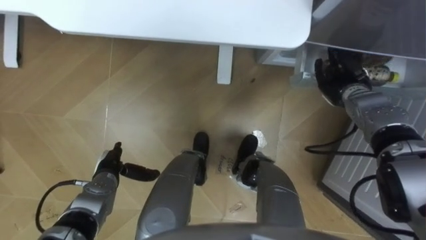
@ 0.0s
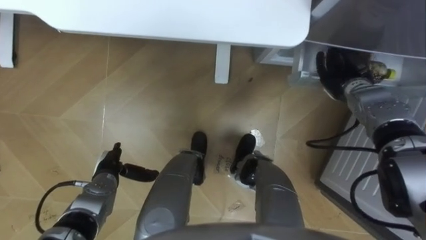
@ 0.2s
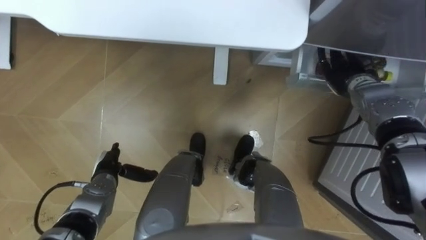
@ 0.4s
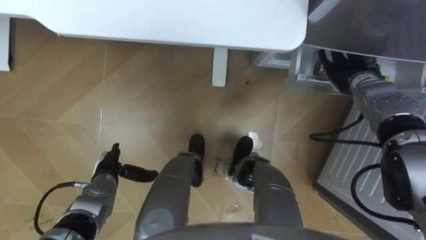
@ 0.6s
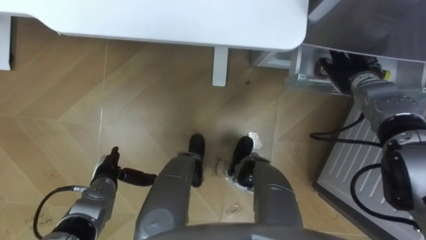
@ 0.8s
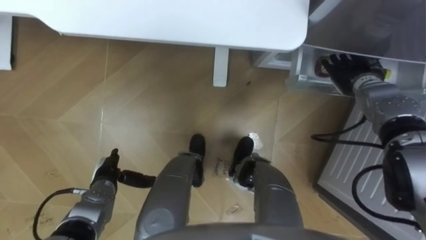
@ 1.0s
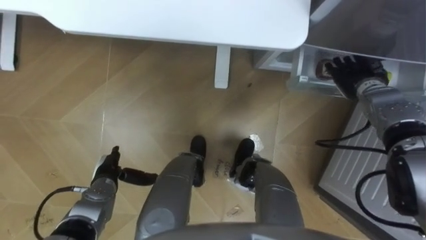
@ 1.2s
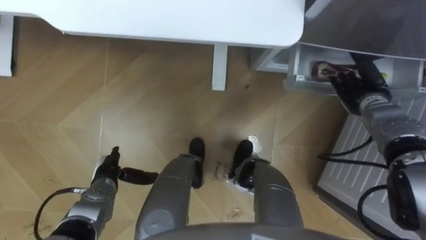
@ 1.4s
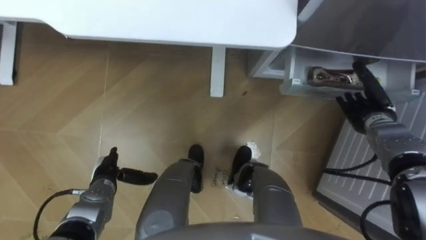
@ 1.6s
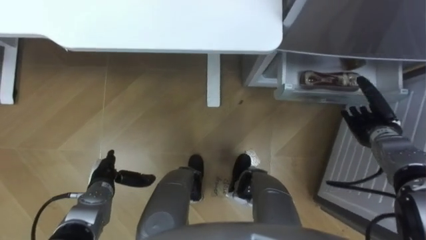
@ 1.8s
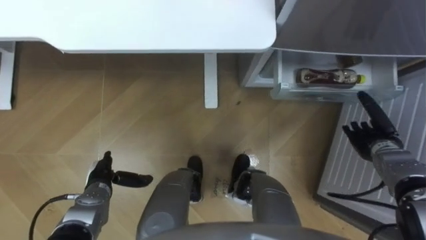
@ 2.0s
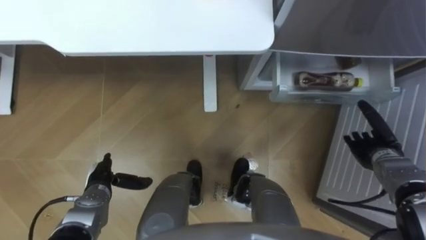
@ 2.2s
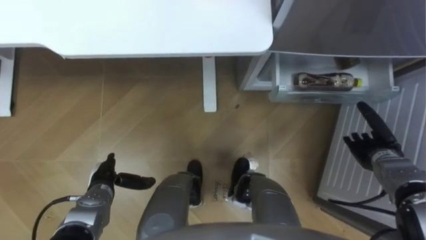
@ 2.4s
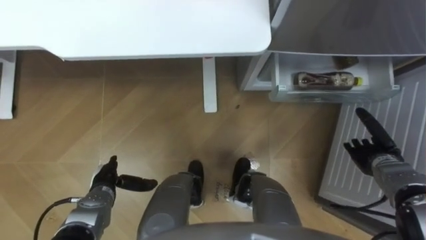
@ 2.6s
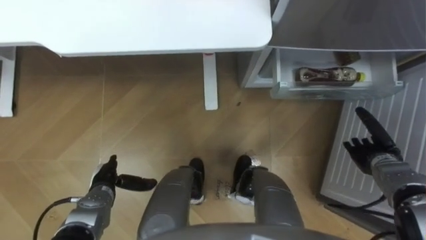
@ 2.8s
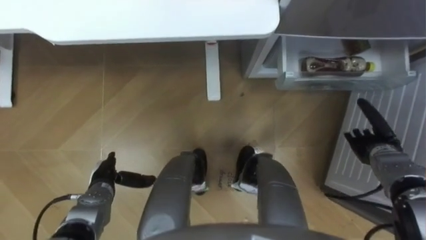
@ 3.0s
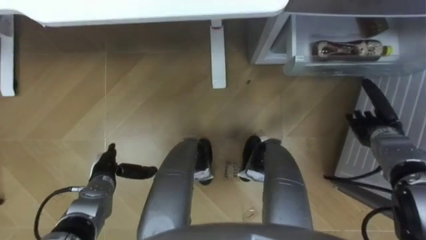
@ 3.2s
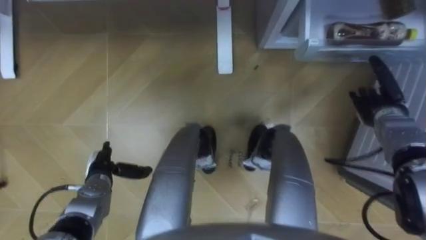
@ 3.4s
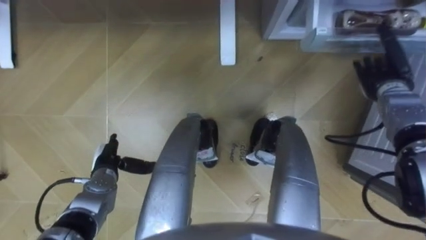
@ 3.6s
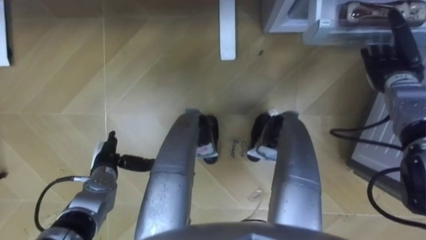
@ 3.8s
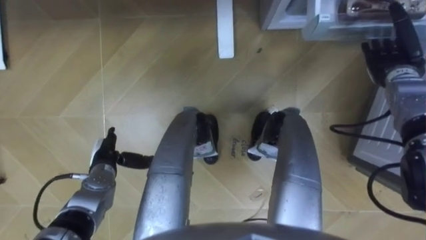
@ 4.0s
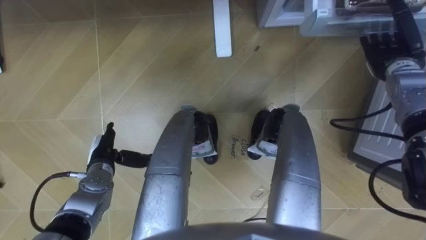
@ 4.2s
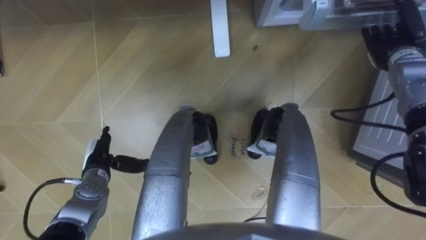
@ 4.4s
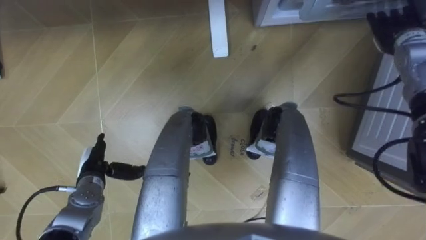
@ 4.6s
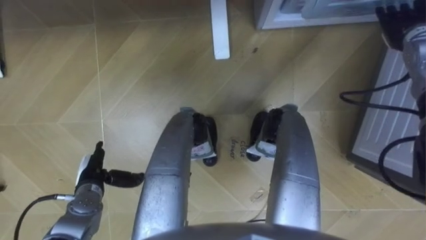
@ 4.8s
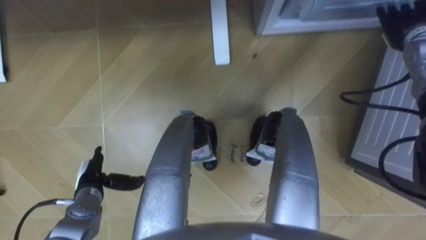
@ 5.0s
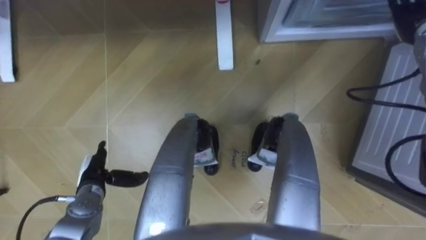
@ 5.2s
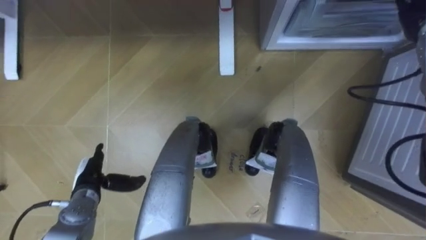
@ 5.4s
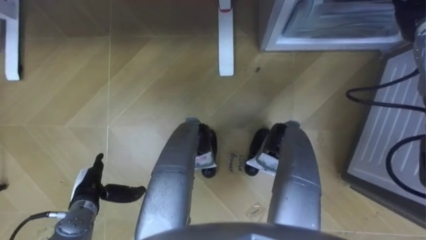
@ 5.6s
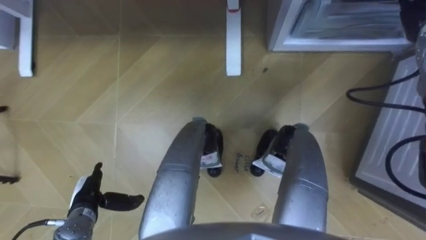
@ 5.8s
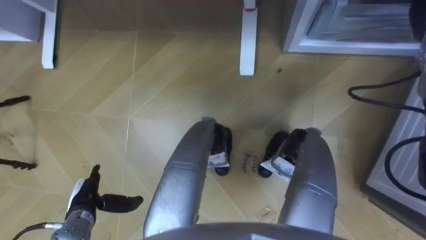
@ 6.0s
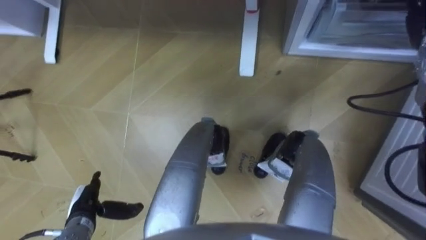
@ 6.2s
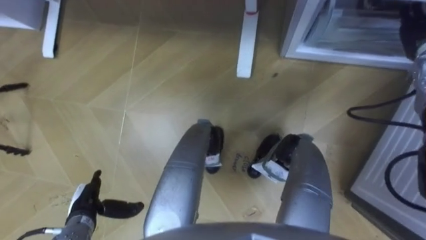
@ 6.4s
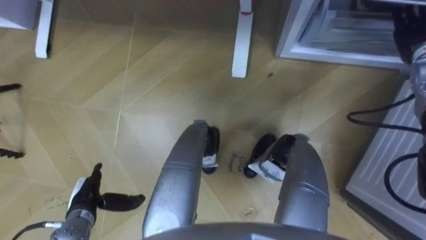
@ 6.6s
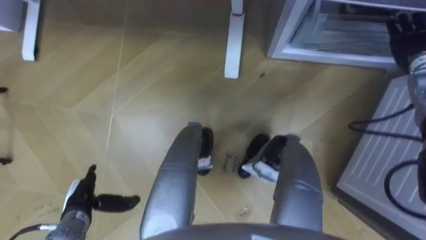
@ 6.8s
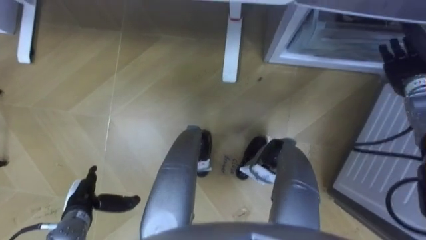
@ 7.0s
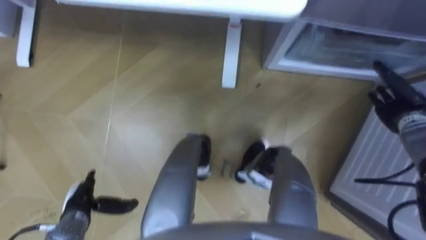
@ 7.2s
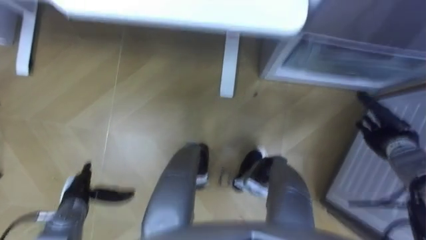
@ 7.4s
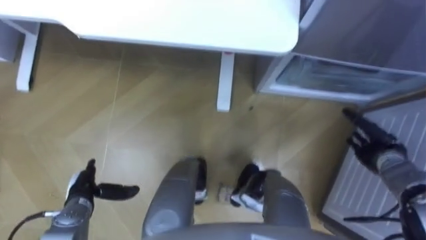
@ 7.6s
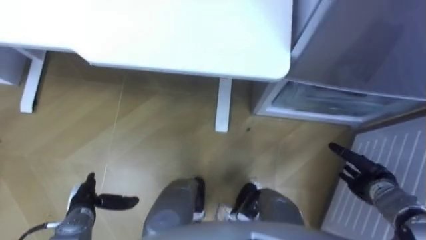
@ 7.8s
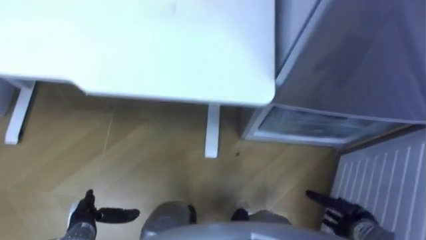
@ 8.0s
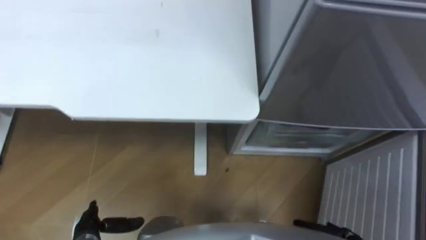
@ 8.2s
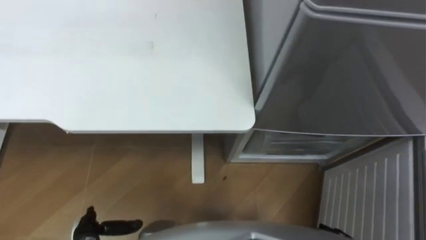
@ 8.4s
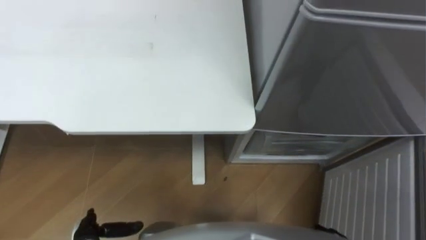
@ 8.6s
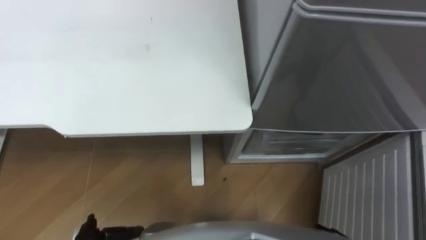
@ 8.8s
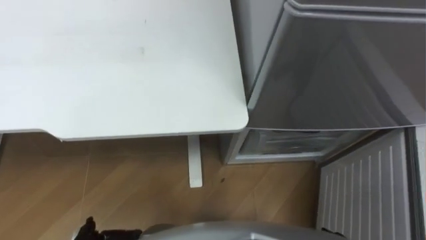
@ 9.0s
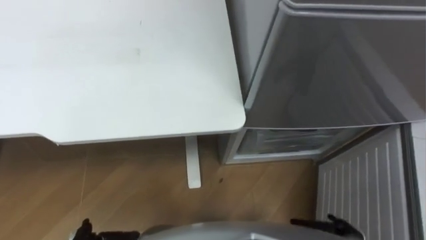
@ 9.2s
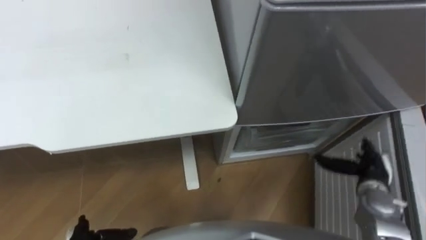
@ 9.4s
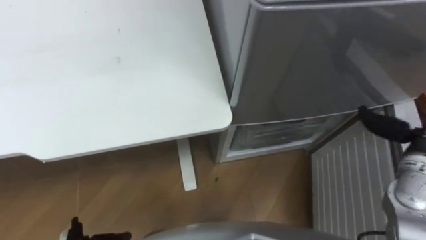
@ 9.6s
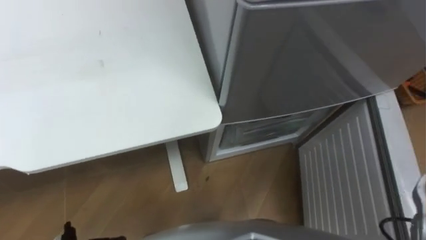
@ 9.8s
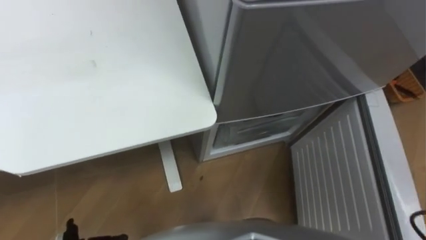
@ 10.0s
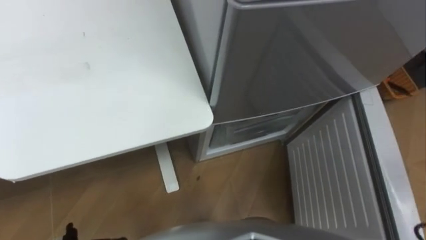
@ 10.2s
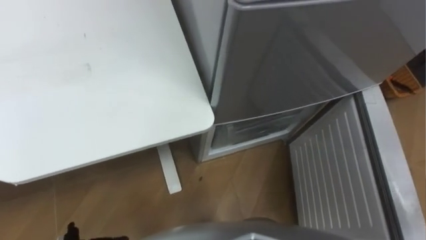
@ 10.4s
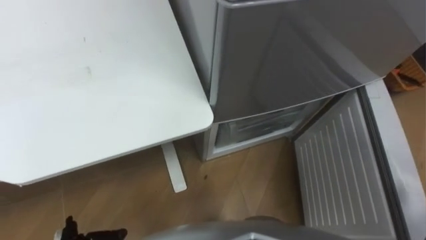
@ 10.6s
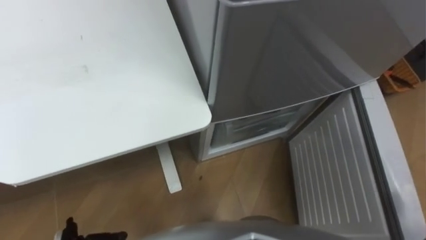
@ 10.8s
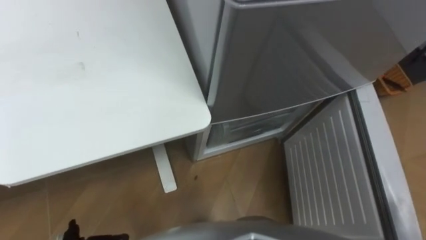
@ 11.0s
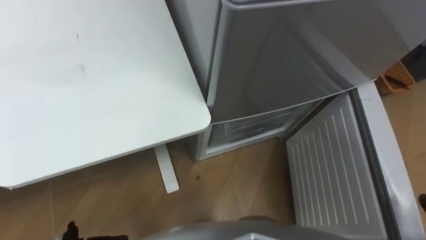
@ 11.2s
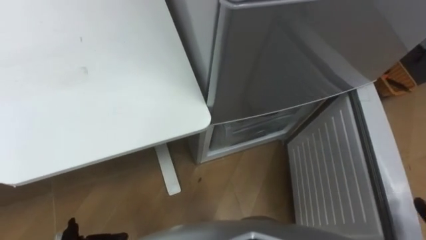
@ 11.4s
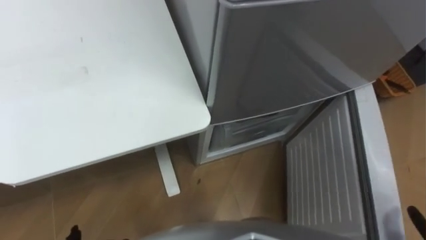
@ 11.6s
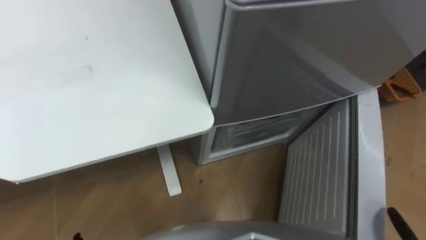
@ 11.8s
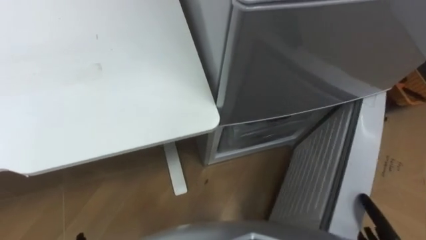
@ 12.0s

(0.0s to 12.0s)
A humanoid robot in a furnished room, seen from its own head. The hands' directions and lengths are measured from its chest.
Task of the whole recording: Place the drink on the table on the bottom shelf of the refrigerator, then close the drawer and the refrigerator door.
0.0s - 1.6s: The right hand is displaced to the right and backward by approximately 10 cm, and opens up.
1.6s - 3.0s: The right hand shifts approximately 5 cm backward.
3.0s - 4.4s: The left hand ends up some 5 cm from where it was; the right hand goes roughly 20 cm forward and upward.
4.4s - 6.0s: The left hand moves backward, roughly 10 cm.

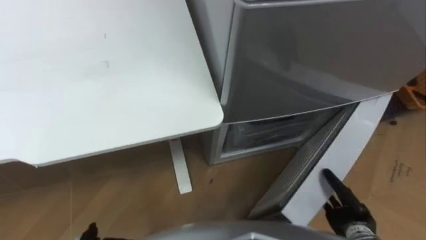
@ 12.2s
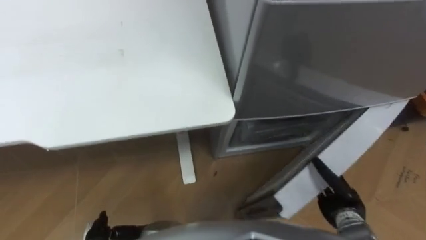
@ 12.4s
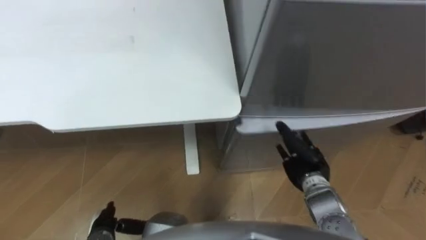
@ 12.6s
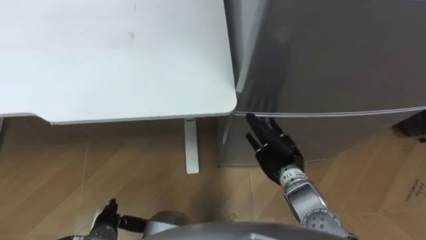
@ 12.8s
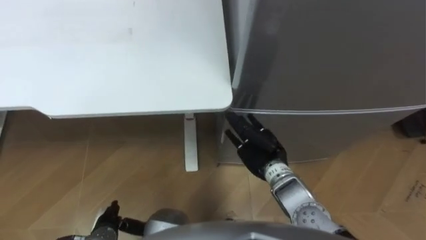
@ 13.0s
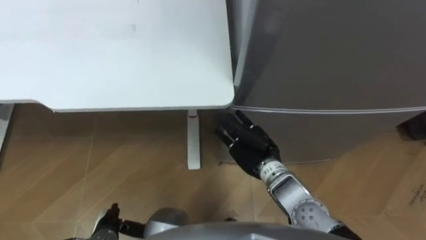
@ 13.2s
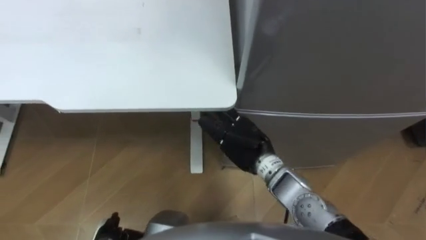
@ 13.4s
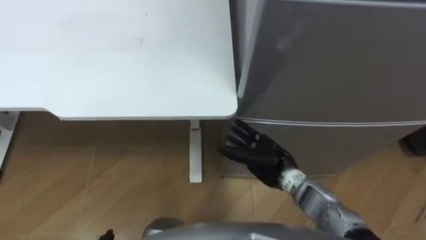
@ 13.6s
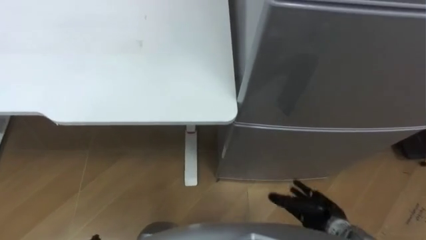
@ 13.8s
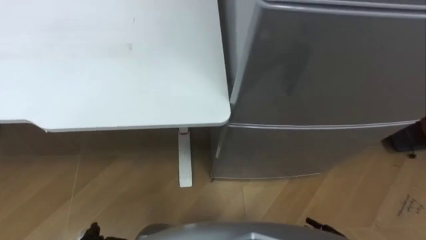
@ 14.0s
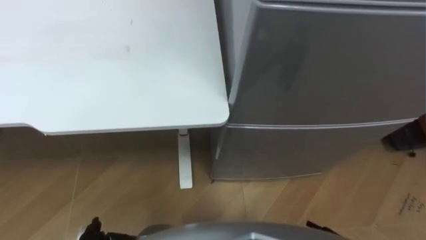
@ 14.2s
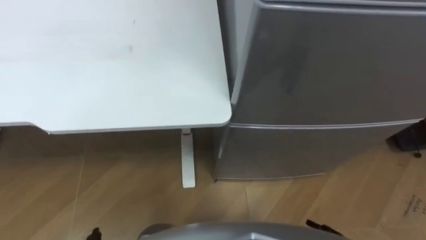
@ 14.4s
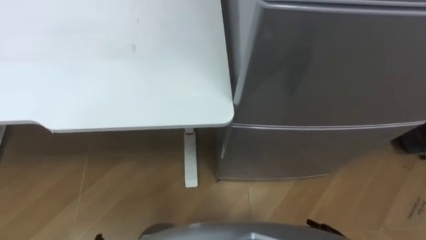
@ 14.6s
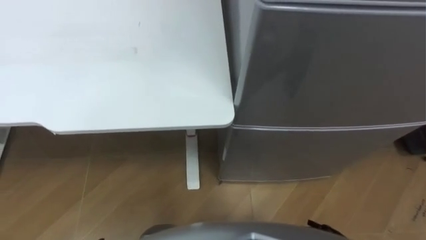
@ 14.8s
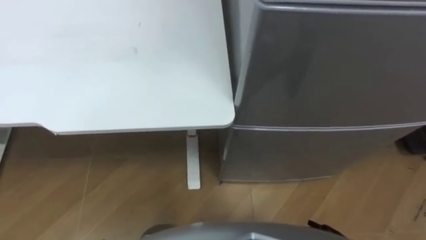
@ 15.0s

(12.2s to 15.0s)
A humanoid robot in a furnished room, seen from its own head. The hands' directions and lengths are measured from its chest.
Task of the whole recording: Place the drink on the table on the bottom shelf of the refrigerator, then close the drawer and the refrigerator door.
12.2s - 13.6s: The right hand heads to the left, forward and upward, covering some 25 cm.

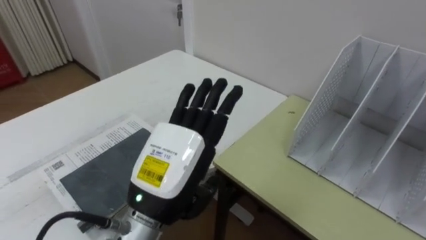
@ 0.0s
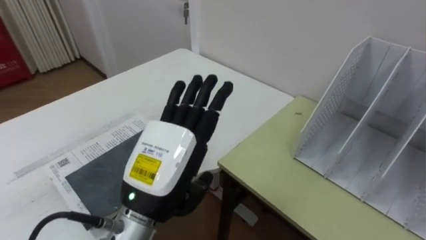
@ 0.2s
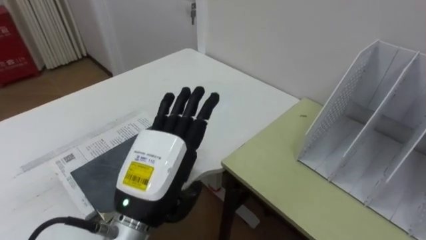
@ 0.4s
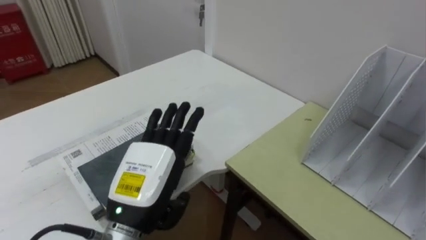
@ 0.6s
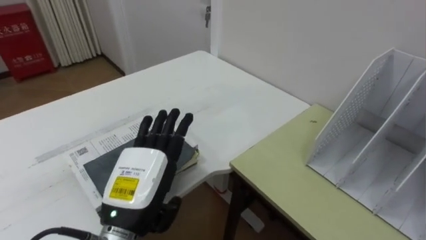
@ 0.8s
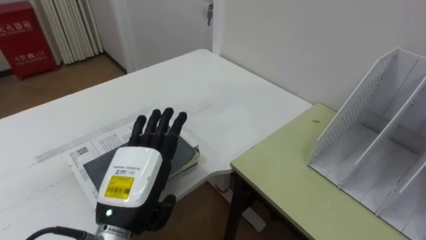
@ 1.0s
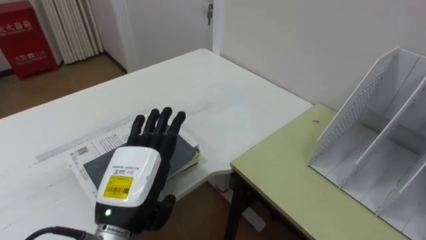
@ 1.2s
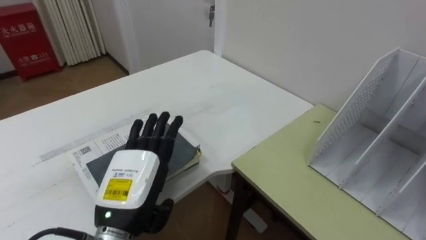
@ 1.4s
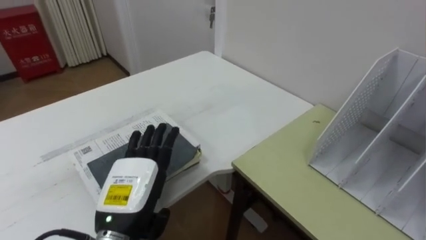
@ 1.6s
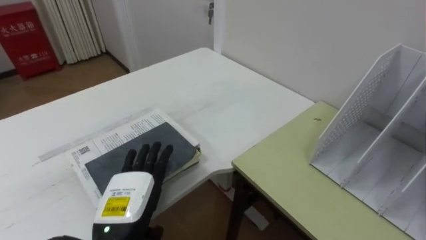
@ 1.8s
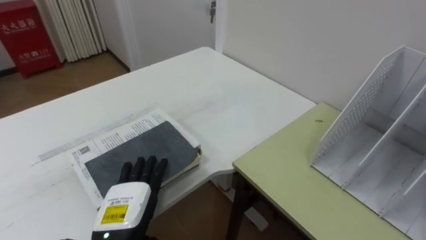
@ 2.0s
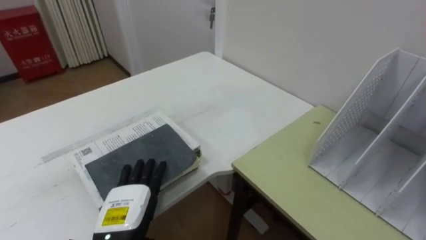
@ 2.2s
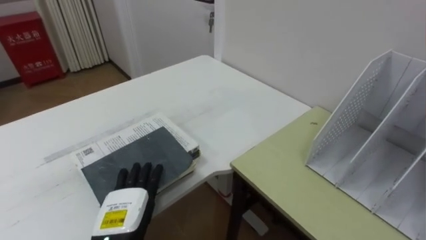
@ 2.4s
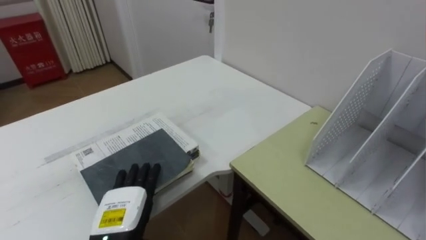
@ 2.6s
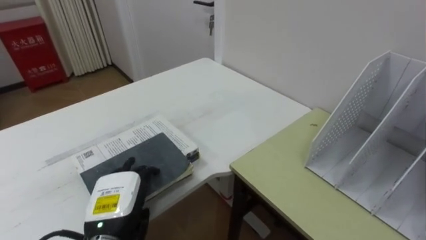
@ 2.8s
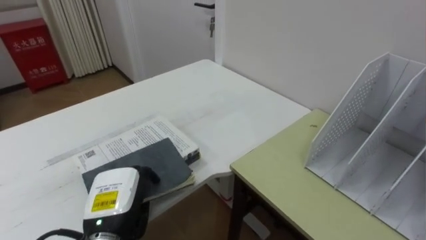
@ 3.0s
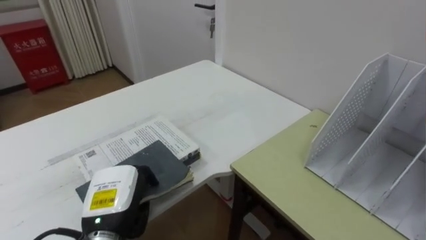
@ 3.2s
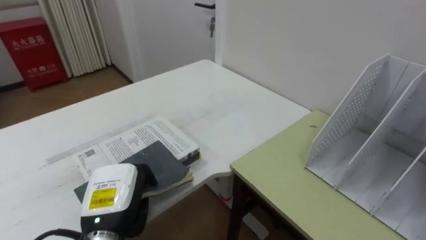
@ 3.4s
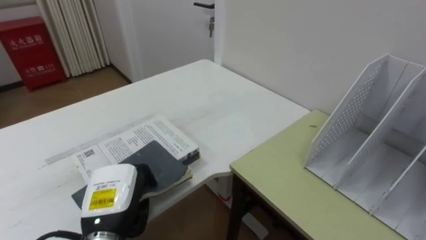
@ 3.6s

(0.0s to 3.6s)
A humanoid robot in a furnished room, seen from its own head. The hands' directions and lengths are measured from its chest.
Task of the whole recording: Put the books on the table onto the bookshelf.
0.0s - 1.8s: The left hand goes approximately 15 cm downward and to the left.
1.8s - 3.6s: The left hand closes its fingers.
